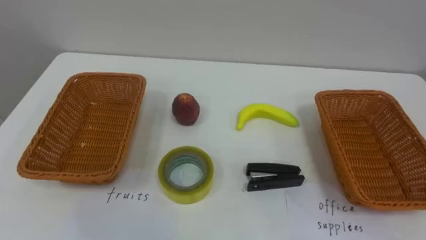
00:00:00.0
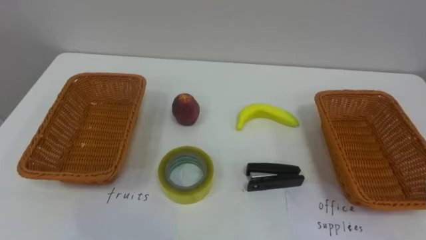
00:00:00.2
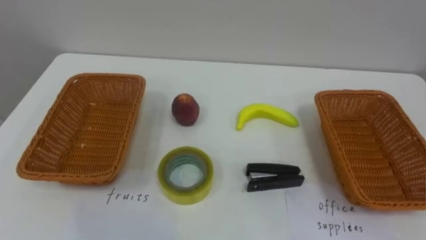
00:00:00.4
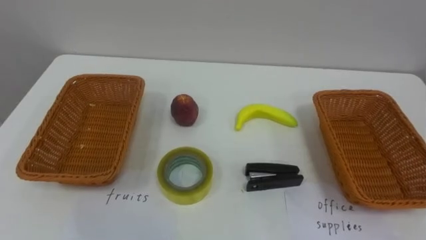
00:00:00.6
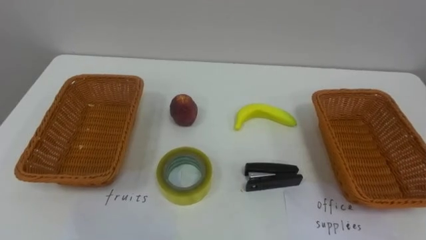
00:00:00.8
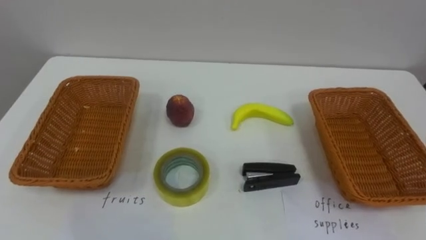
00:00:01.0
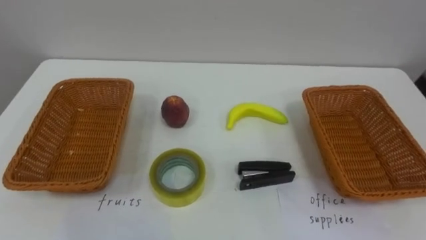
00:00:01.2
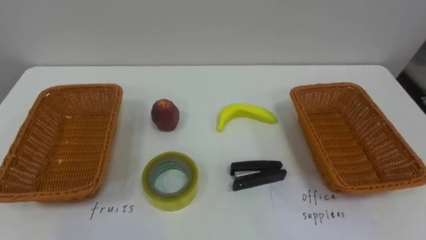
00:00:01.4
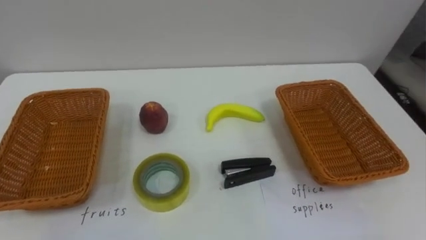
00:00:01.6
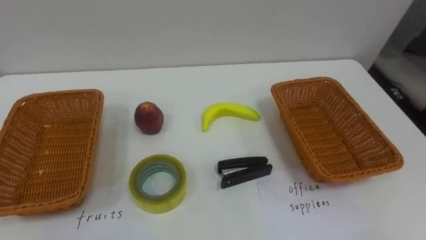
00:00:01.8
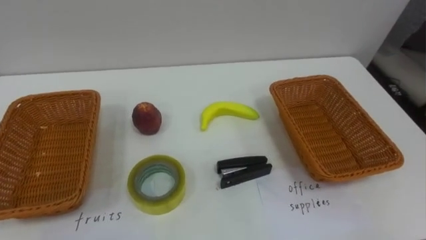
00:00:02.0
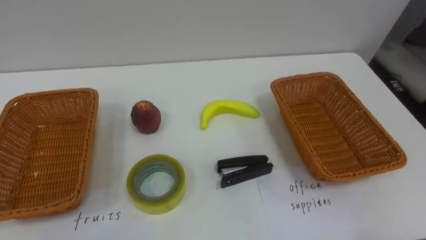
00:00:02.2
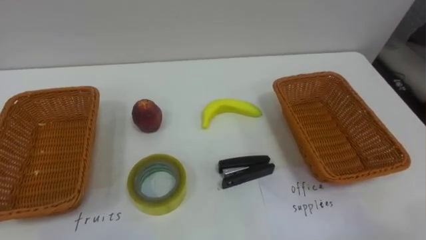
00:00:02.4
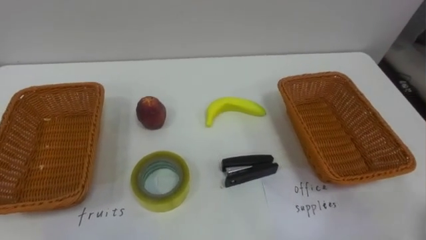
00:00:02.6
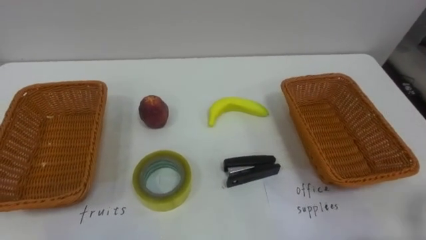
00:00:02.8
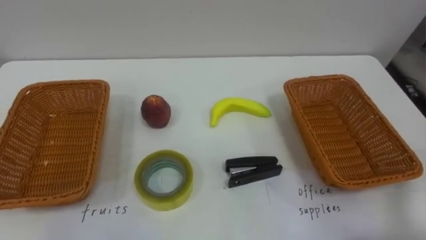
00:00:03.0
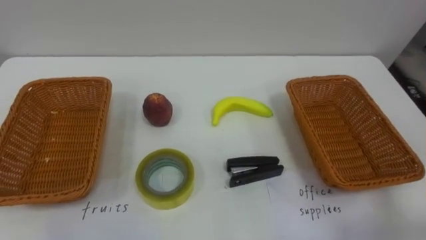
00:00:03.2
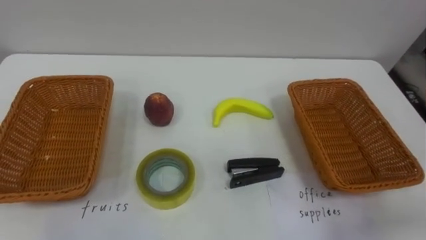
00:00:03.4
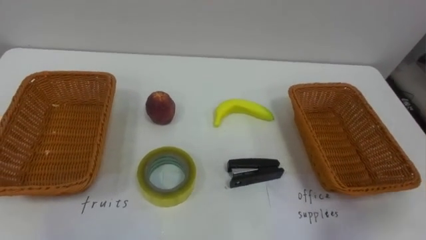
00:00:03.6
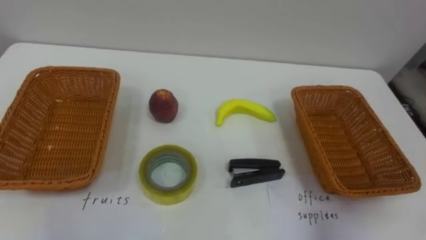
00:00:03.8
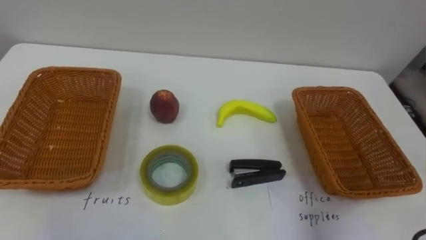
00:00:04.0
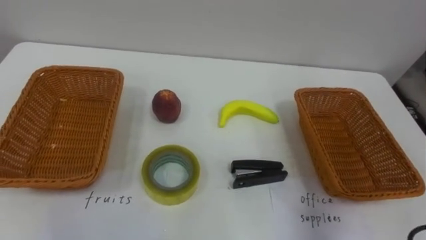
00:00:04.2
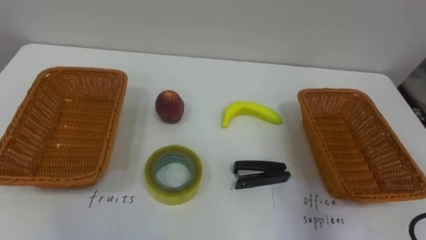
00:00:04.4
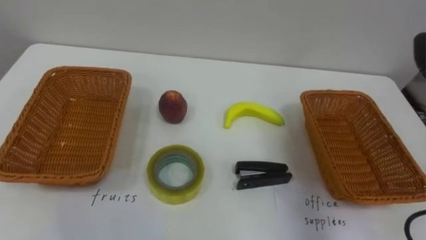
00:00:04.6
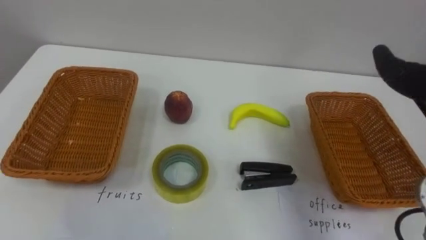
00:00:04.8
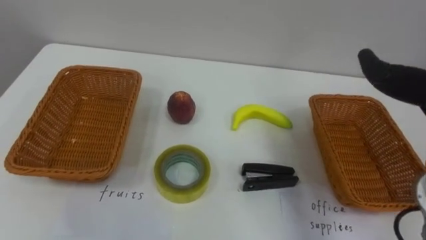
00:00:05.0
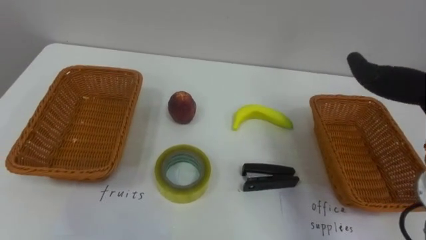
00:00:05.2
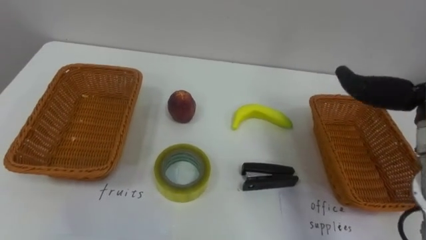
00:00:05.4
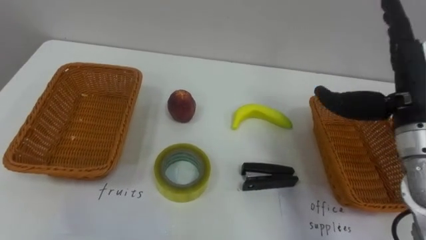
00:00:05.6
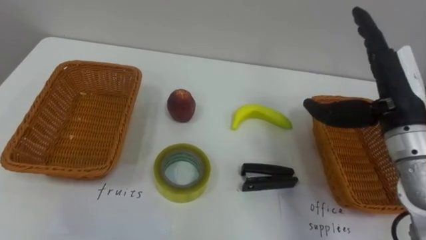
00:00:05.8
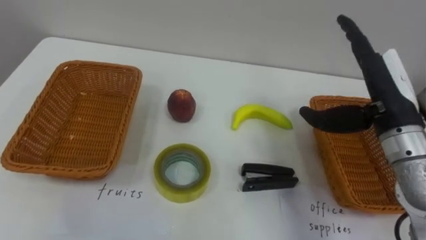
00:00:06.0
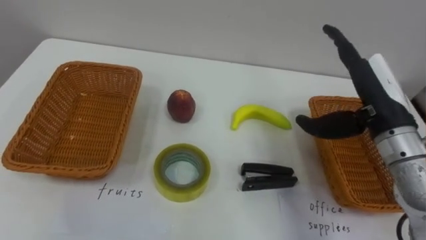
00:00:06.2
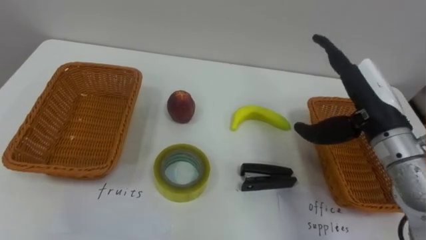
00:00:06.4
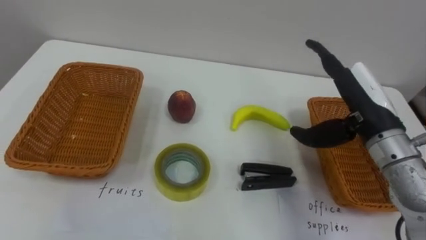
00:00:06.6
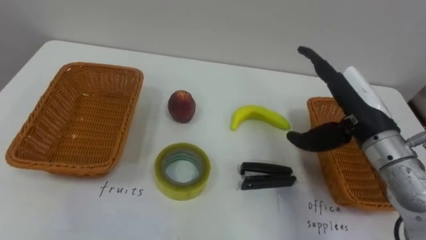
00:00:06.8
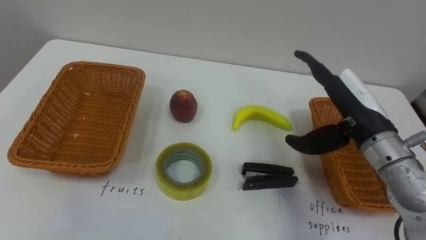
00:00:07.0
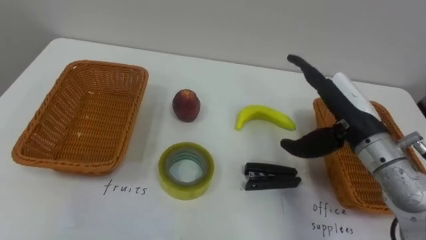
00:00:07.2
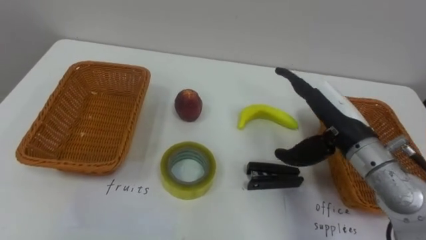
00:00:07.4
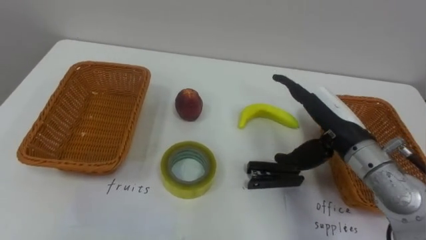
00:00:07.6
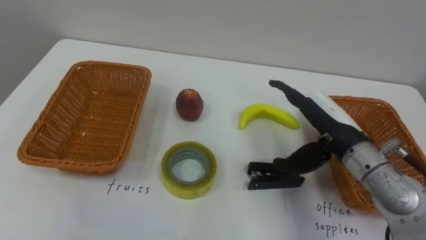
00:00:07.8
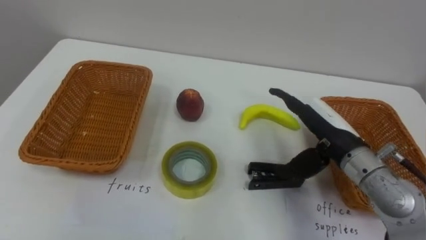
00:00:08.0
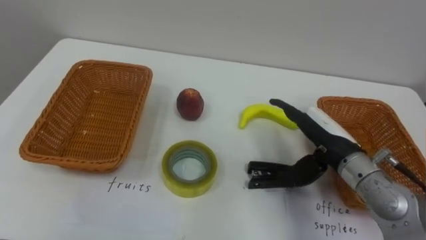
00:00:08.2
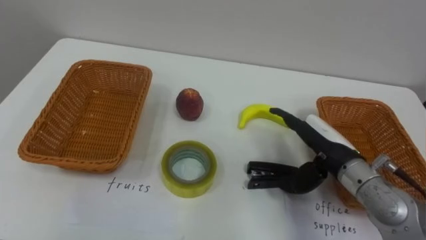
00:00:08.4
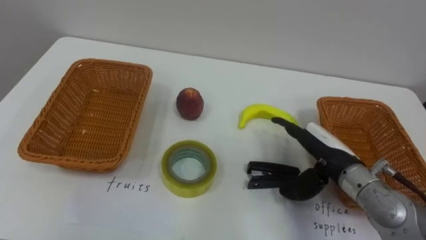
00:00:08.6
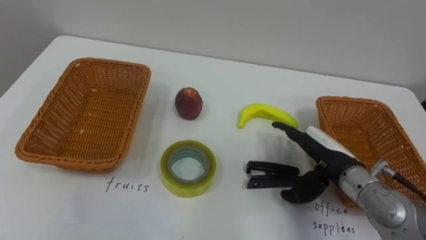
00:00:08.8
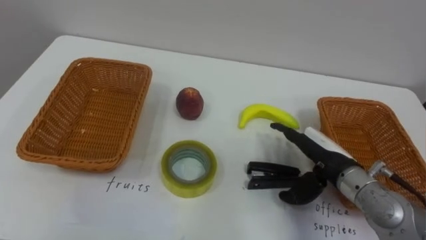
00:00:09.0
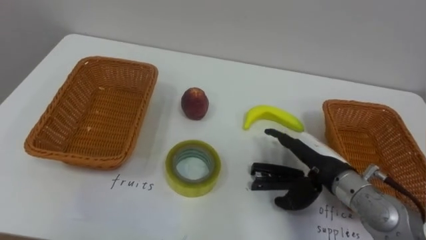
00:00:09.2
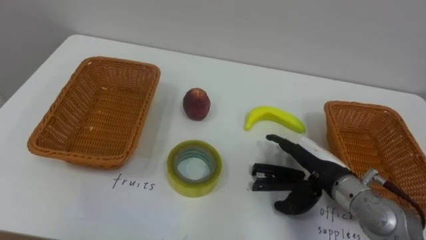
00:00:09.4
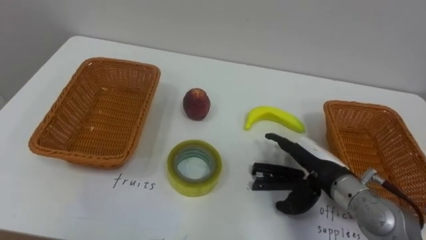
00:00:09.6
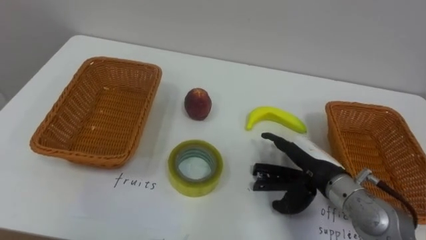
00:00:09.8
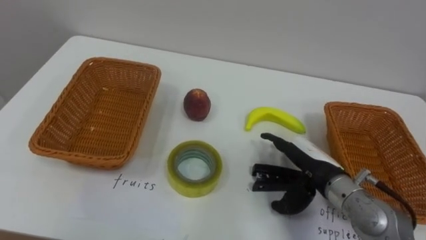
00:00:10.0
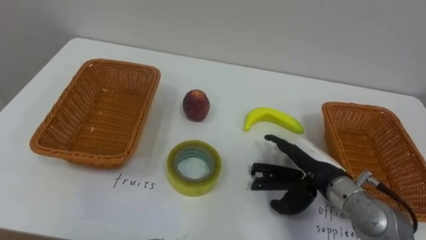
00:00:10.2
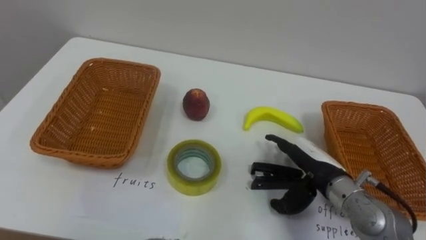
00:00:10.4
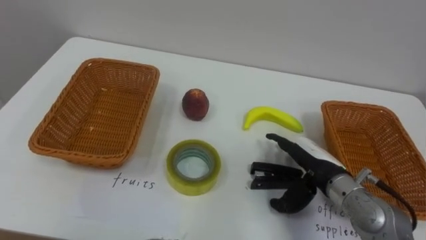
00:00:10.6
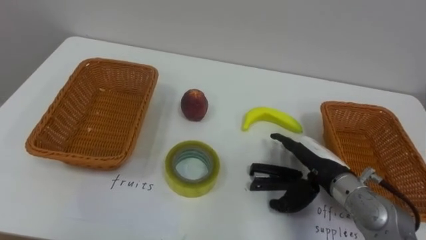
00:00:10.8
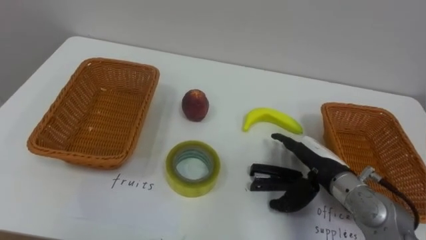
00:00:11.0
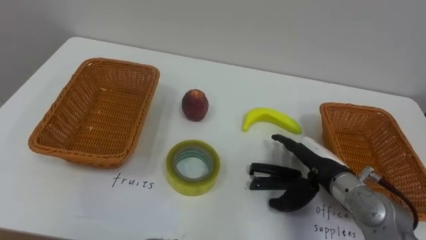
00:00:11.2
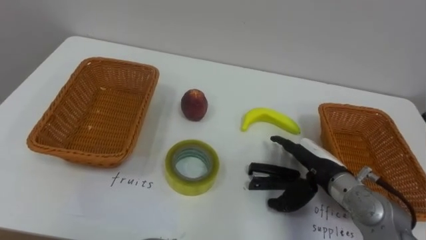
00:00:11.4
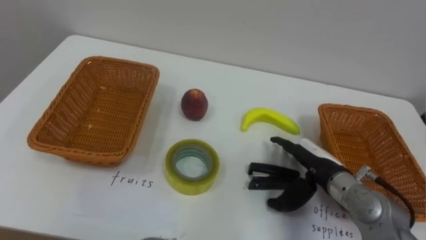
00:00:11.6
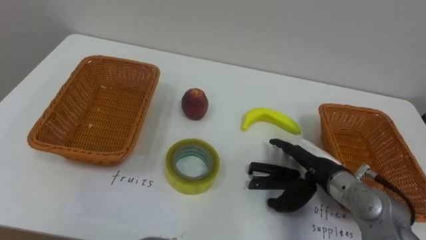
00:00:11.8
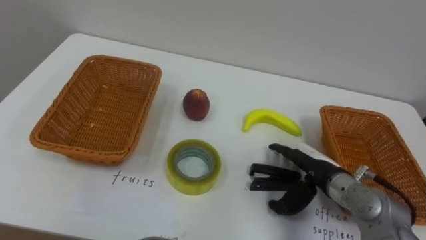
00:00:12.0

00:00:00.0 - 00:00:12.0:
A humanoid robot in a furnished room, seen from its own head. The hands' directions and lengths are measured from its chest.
Task of the whole recording: Separate the items on the table and place them into the two baskets.
00:00:06.0 - 00:00:07.6: The right hand heads downward and to the left, covering approximately 10 cm.
00:00:07.6 - 00:00:09.0: The right hand goes about 5 cm downward.

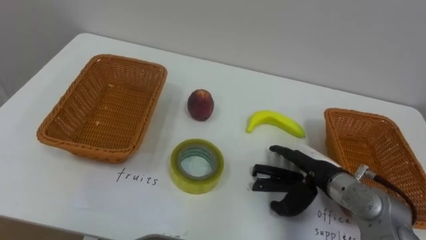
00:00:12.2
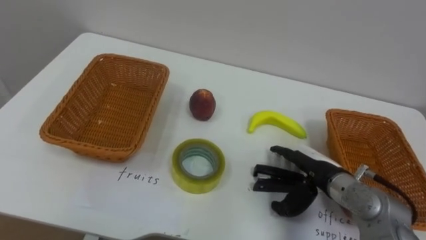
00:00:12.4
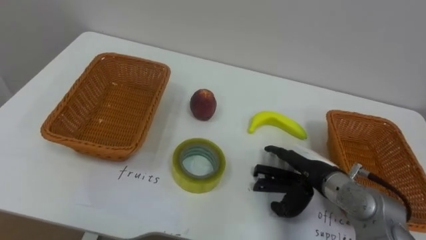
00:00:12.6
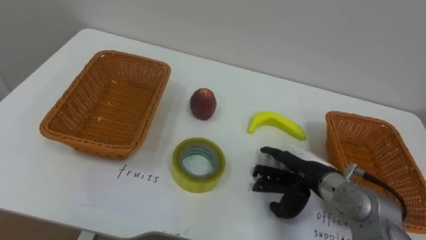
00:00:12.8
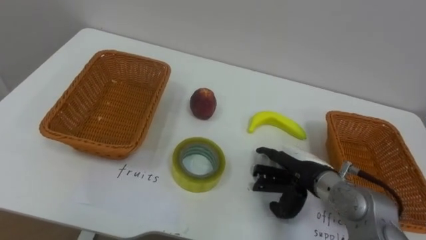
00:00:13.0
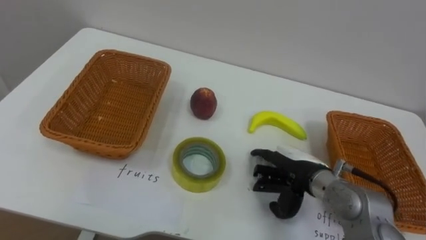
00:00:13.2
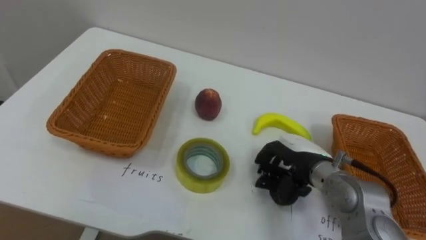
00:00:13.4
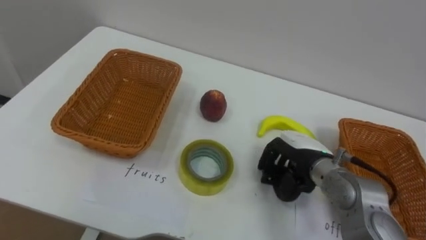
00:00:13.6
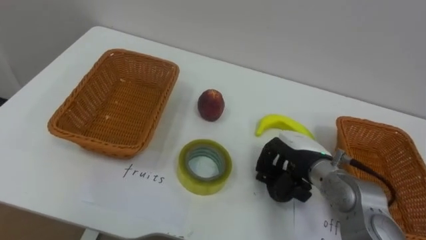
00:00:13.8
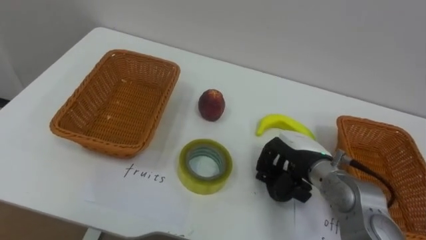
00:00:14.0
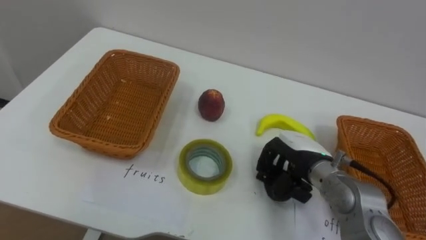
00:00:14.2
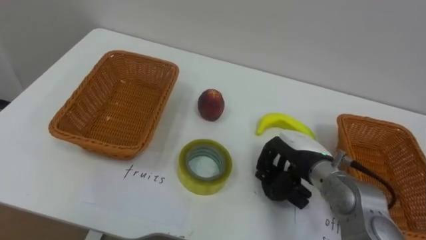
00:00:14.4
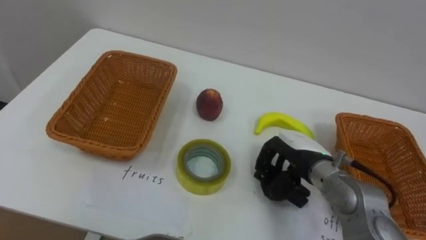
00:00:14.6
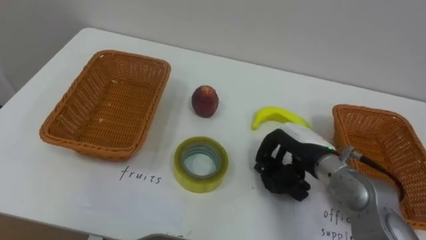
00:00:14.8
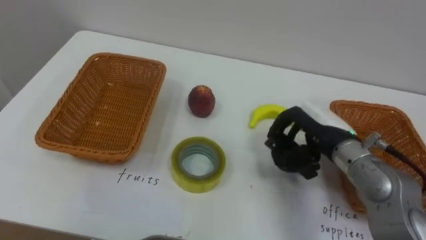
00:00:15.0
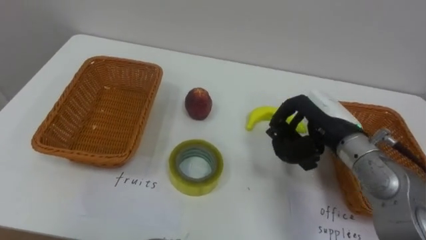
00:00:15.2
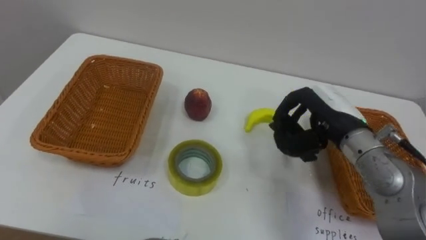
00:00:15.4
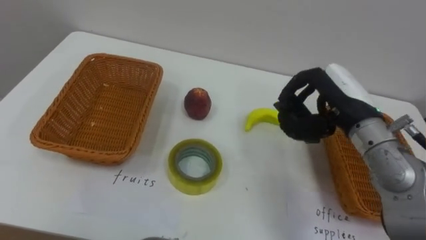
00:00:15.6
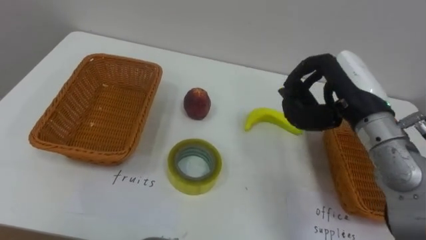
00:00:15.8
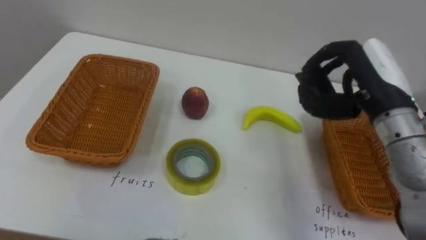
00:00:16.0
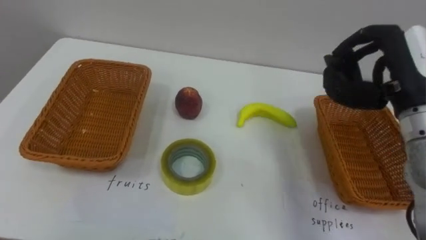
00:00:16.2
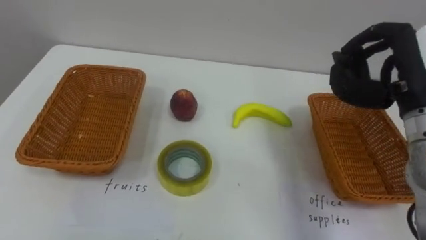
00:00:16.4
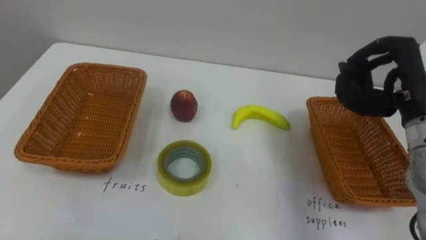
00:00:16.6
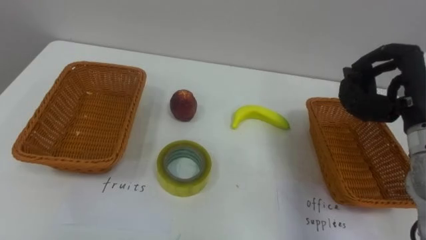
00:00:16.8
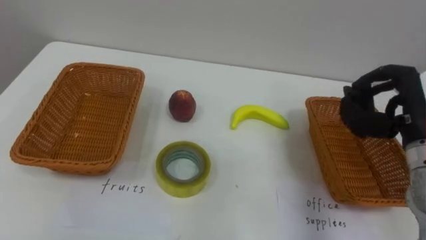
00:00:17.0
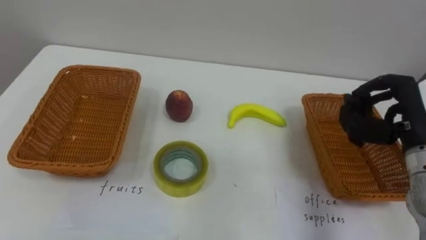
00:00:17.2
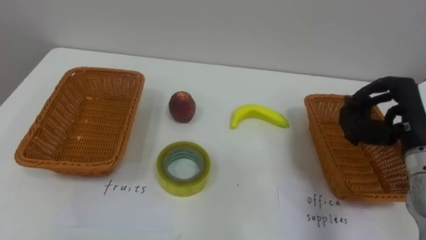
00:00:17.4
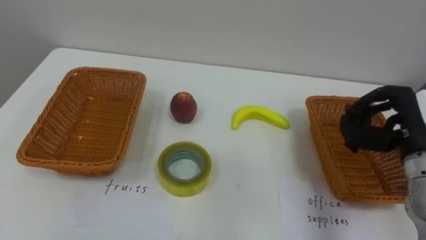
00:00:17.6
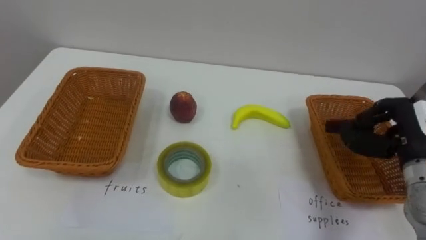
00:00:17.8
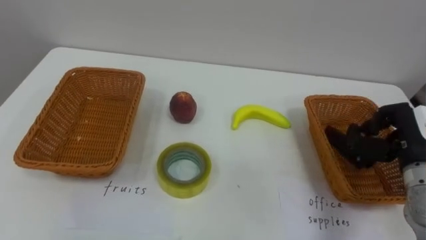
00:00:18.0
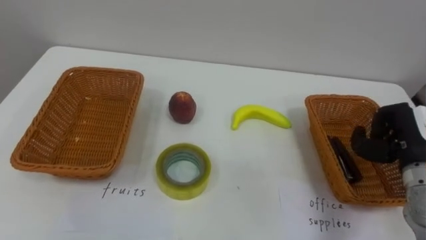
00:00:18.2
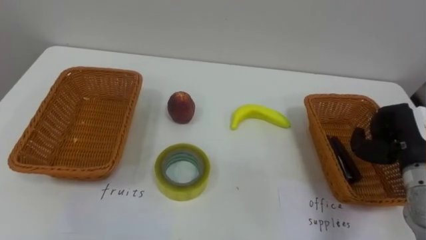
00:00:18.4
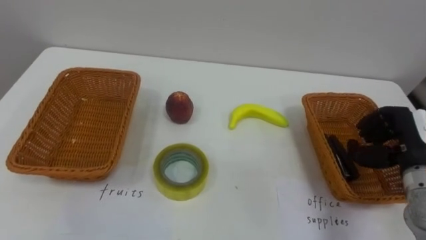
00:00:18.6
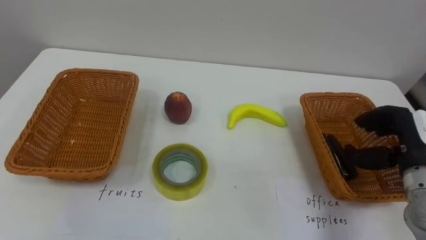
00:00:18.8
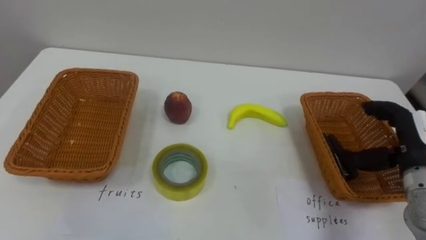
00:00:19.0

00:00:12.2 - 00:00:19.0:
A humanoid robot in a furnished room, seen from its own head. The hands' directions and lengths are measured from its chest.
Task of the whole recording: Separate the items on the table and place them into the two baskets.
00:00:12.2 - 00:00:13.6: The right hand closes up.
00:00:13.6 - 00:00:15.0: The right hand shifts approximately 5 cm upward.
00:00:15.0 - 00:00:16.2: The right hand is displaced upward and to the right by some 15 cm.
00:00:16.2 - 00:00:17.6: The right hand is displaced downward and to the right by some 10 cm.
00:00:17.6 - 00:00:19.0: The right hand opens its fingers.
